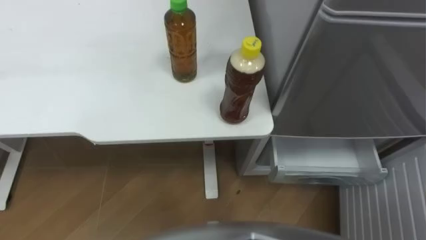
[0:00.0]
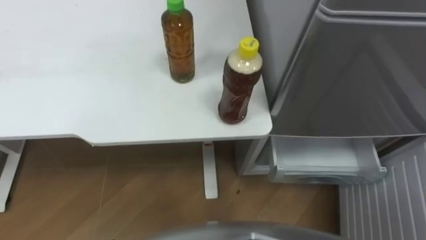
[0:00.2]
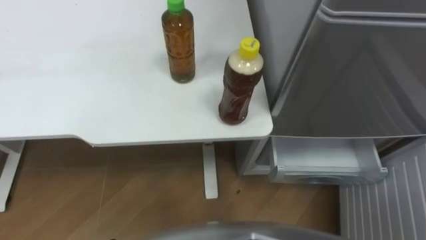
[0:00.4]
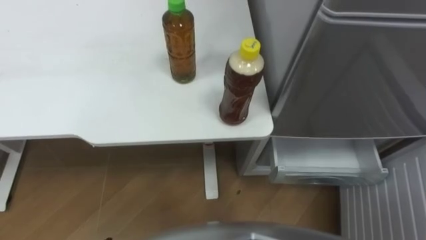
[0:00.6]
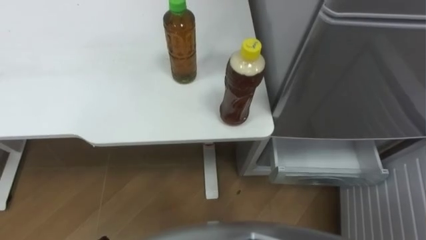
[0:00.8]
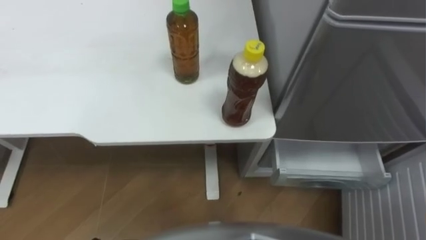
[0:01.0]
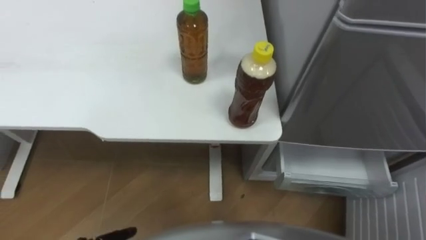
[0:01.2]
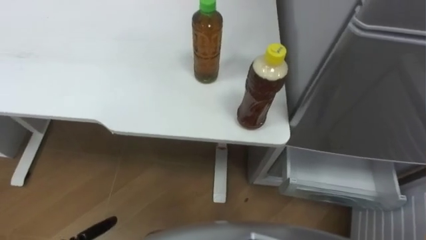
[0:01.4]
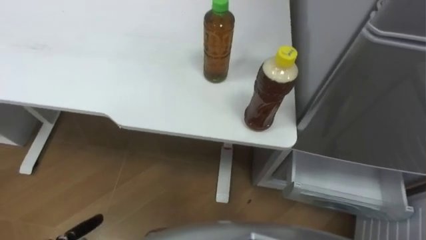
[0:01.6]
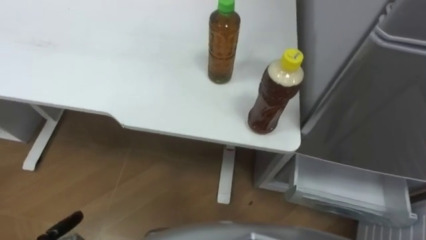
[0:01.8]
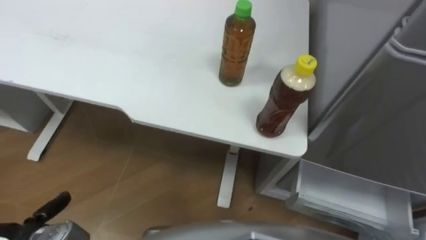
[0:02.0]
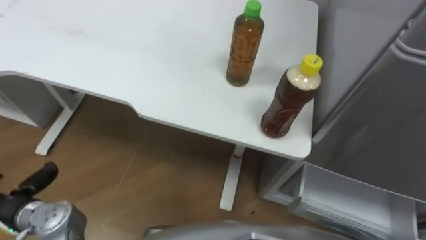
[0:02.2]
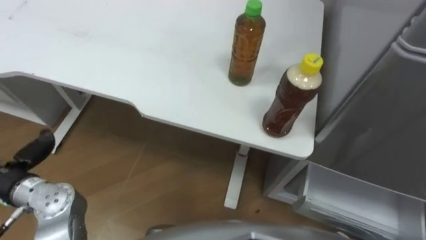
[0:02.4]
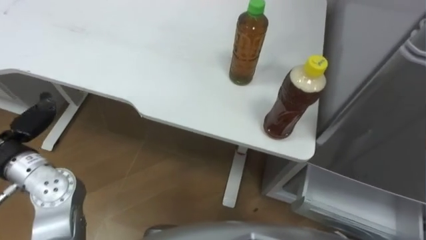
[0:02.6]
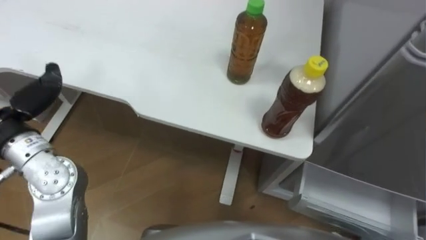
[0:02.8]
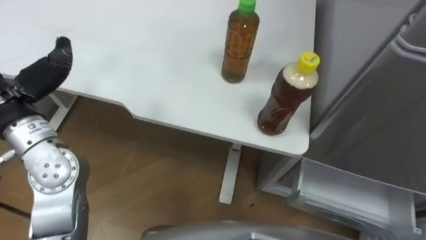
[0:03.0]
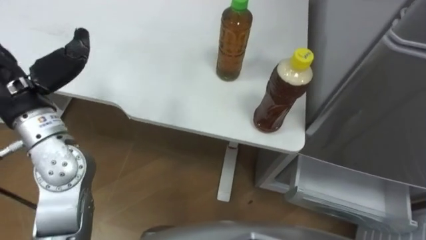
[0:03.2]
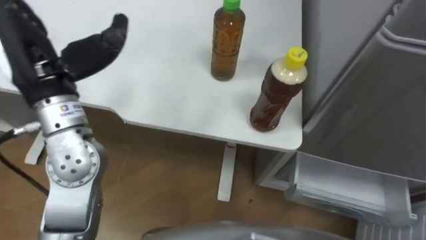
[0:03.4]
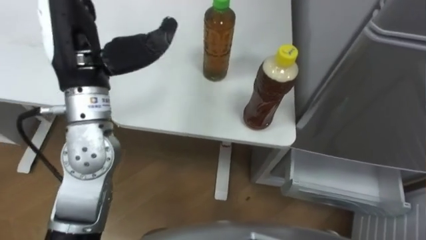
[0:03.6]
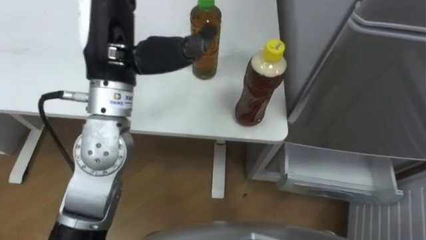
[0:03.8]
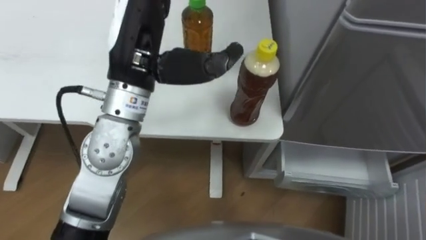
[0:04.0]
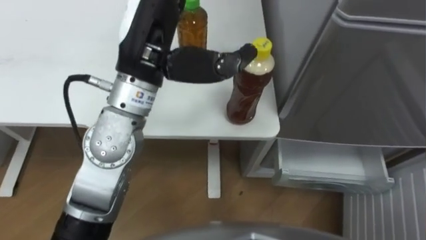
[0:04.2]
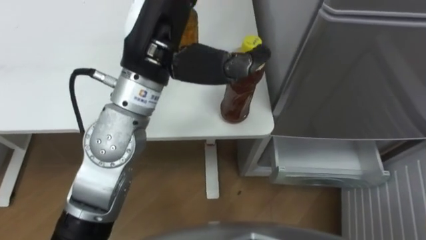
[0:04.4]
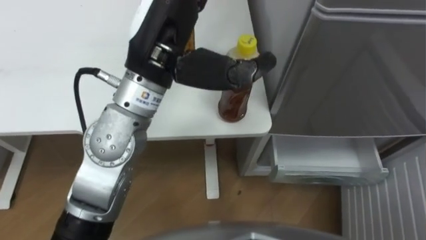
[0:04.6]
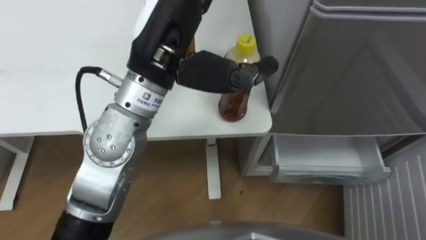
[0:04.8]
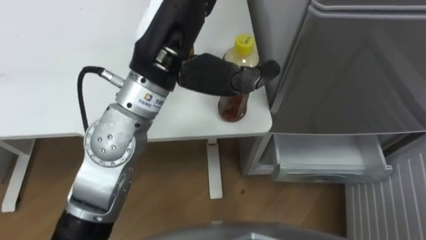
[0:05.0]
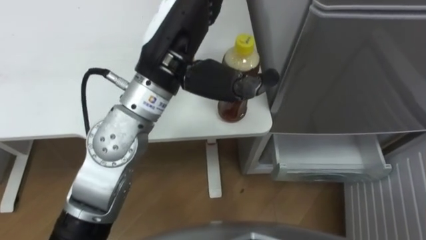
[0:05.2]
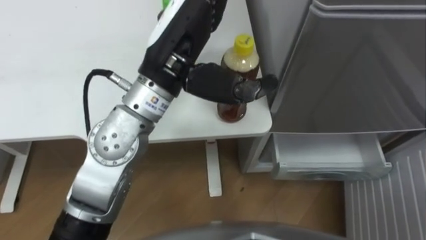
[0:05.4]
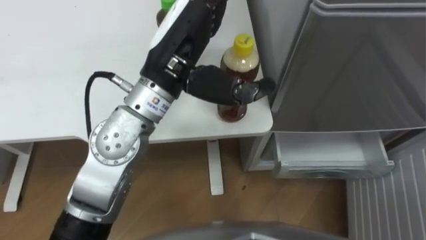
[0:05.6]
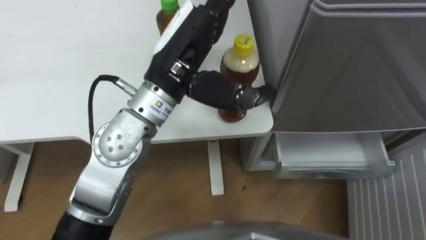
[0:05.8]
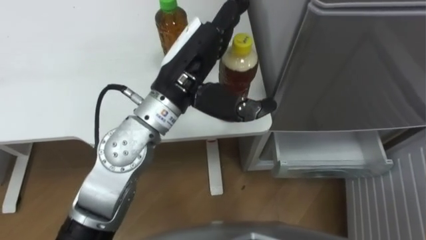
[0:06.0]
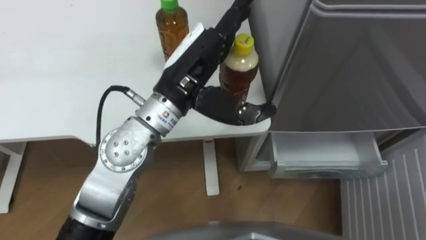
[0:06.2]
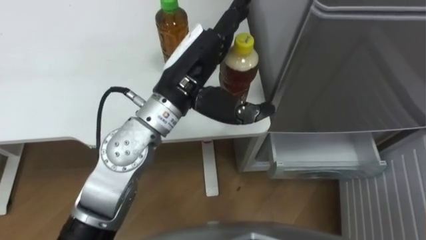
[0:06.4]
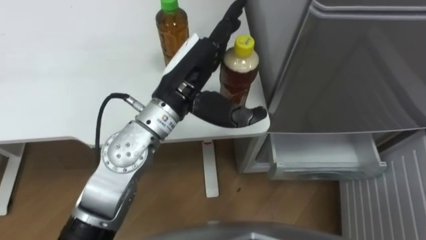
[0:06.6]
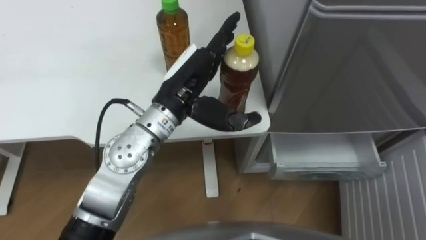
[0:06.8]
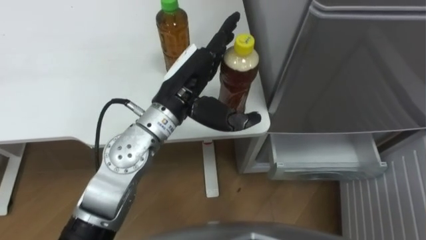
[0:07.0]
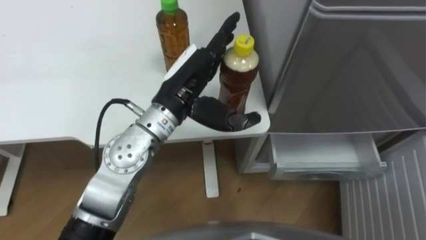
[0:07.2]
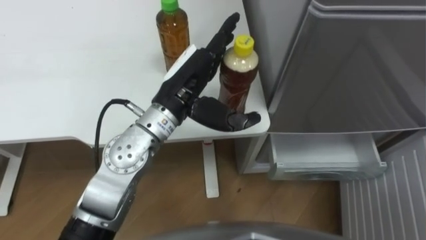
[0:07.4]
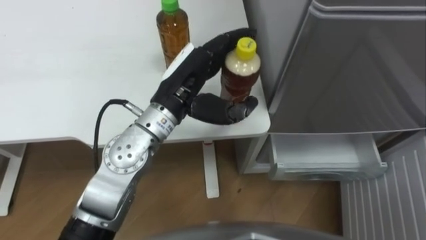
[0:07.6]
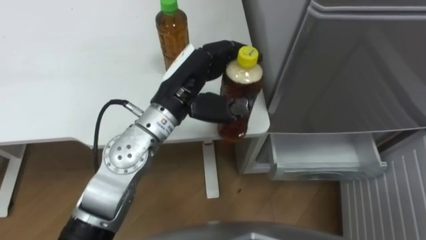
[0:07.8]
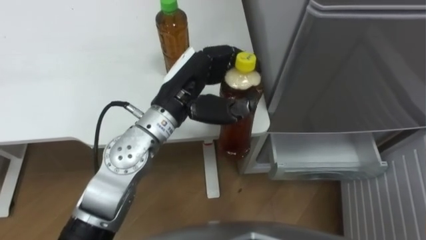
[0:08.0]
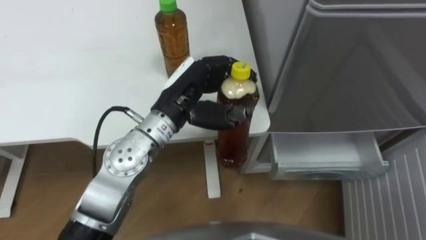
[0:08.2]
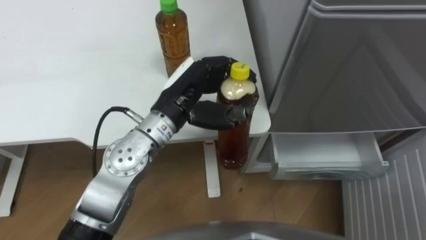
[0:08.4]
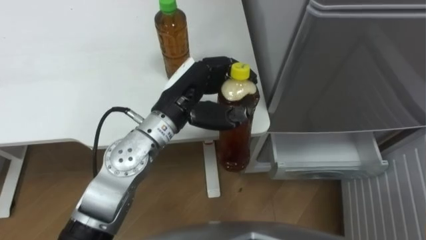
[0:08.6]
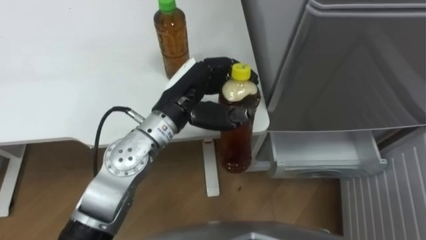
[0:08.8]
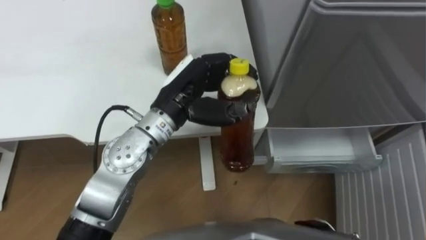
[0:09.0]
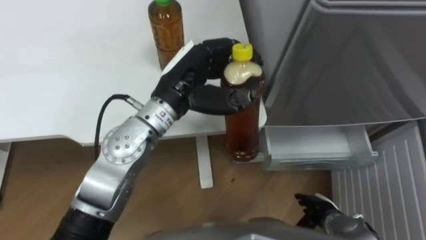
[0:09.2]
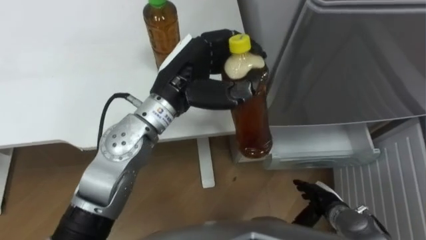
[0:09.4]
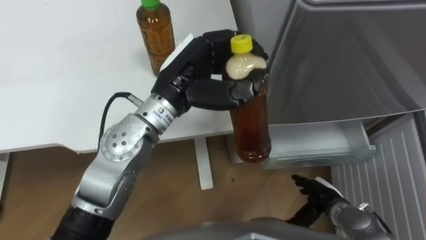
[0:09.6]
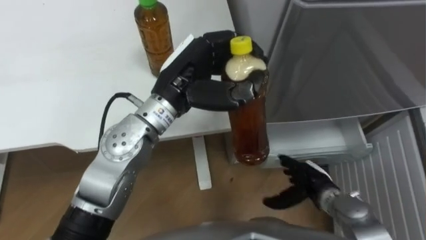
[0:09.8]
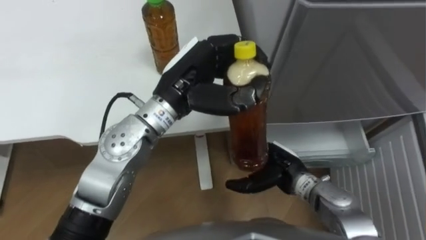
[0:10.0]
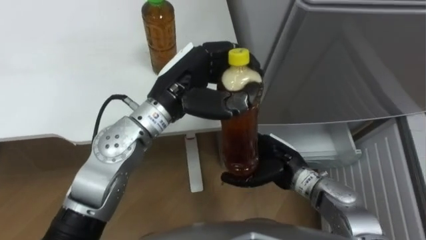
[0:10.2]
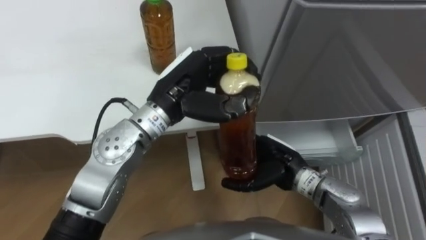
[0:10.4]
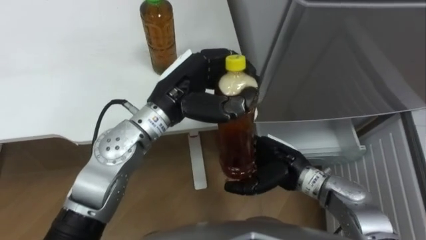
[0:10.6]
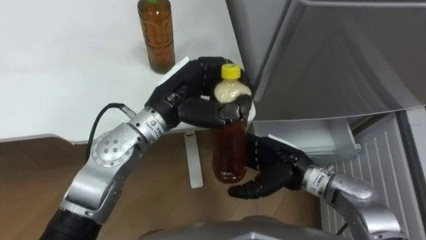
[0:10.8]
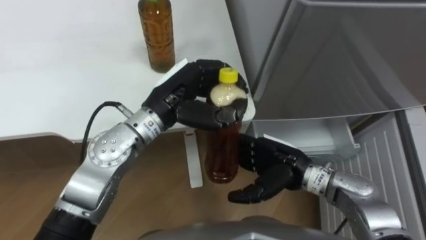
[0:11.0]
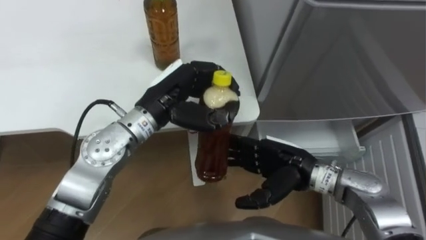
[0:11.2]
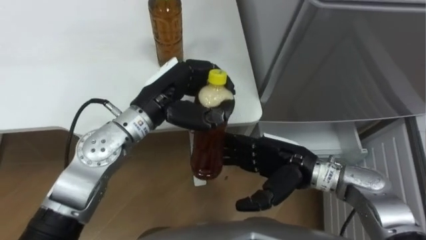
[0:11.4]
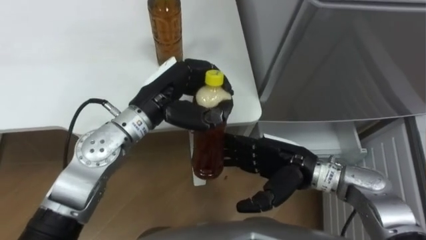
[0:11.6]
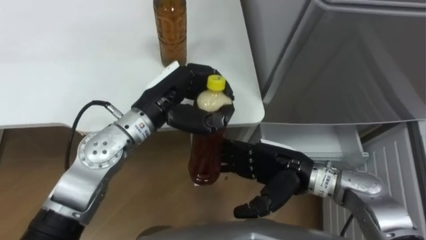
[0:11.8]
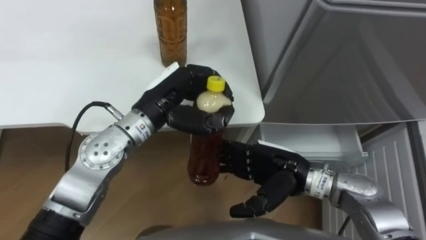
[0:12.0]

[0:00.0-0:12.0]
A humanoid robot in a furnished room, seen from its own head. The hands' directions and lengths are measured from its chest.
Task of the whole recording: Place the drink on the table on the bottom shelf of the refrigerator, then close the drawer and the refrigerator door.
0:04.4 to 0:06.0: The left hand goes some 5 cm downward.
0:06.0 to 0:07.6: The left hand moves downward, about 5 cm.
0:09.0 to 0:10.4: The right hand moves upward, forward and to the left, roughly 25 cm.

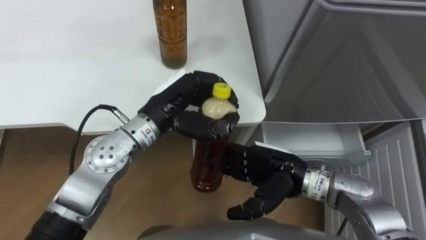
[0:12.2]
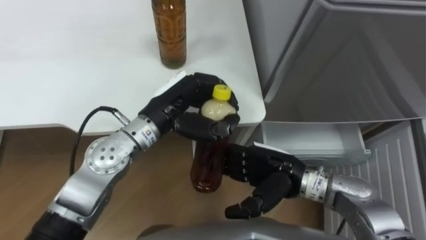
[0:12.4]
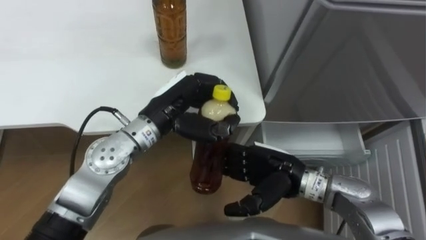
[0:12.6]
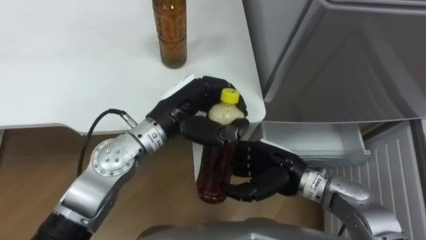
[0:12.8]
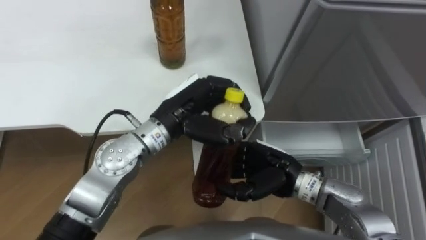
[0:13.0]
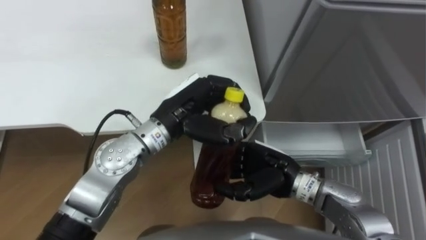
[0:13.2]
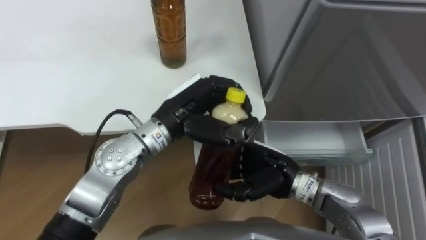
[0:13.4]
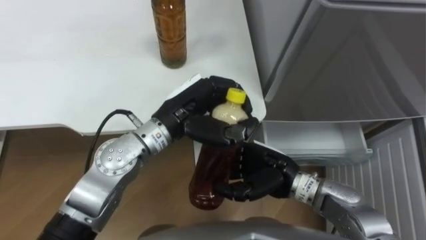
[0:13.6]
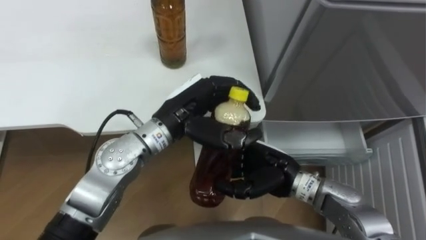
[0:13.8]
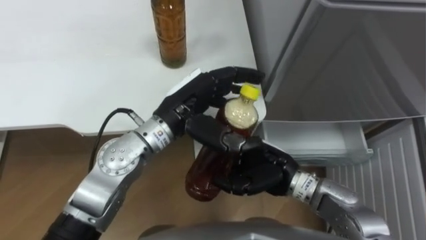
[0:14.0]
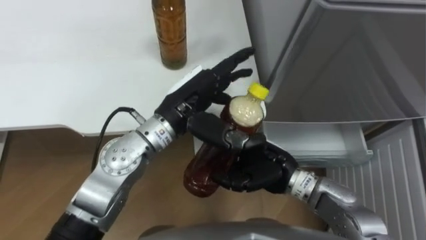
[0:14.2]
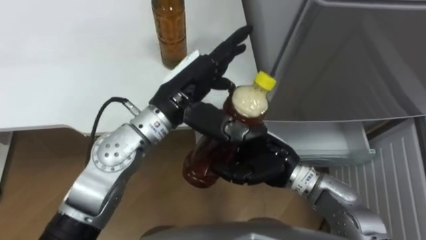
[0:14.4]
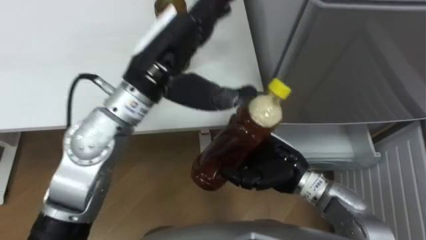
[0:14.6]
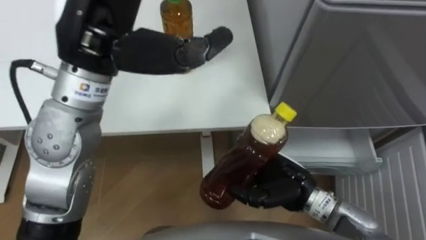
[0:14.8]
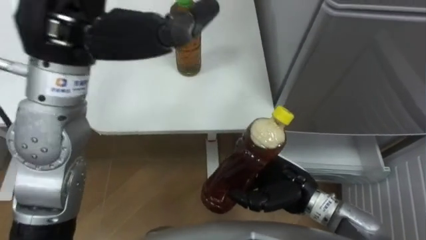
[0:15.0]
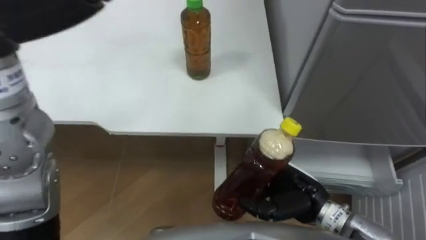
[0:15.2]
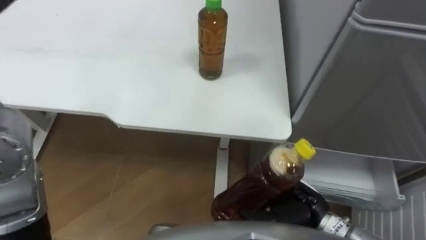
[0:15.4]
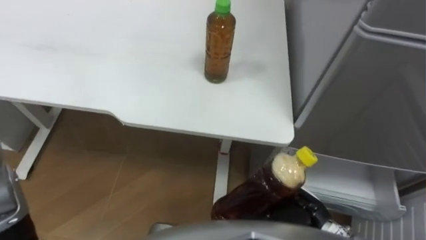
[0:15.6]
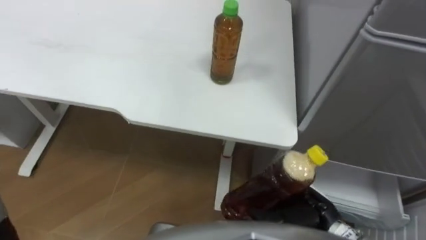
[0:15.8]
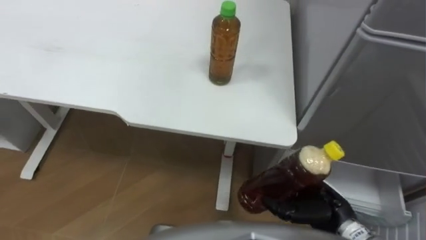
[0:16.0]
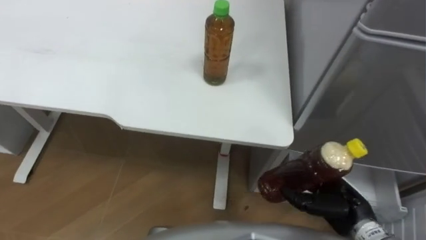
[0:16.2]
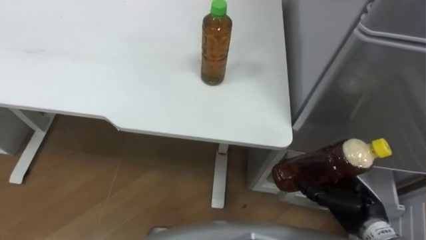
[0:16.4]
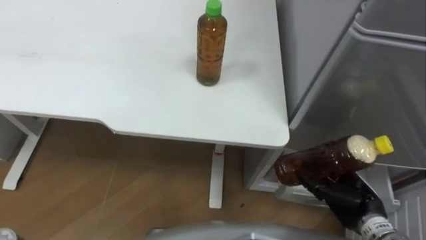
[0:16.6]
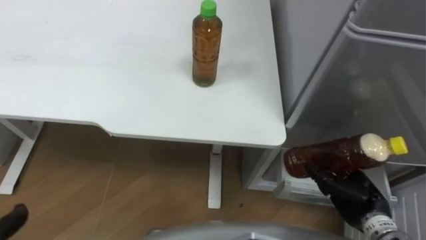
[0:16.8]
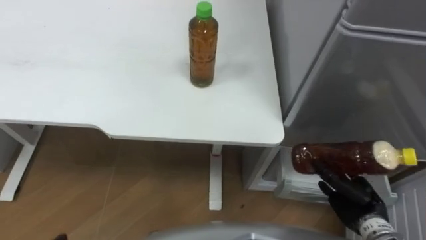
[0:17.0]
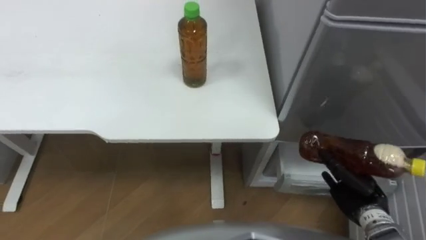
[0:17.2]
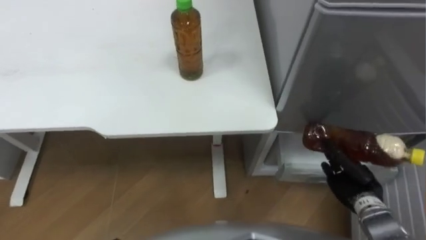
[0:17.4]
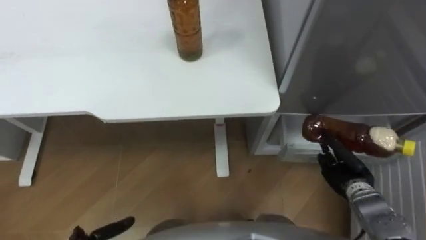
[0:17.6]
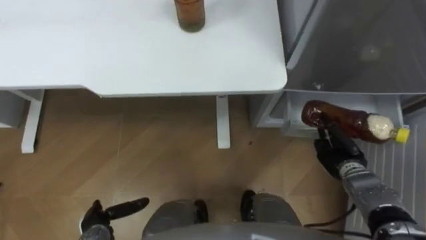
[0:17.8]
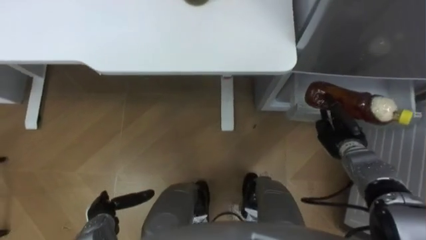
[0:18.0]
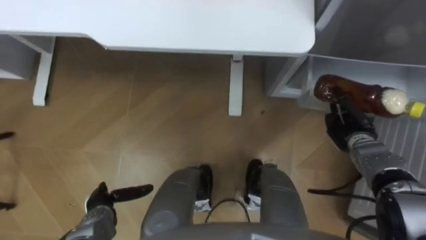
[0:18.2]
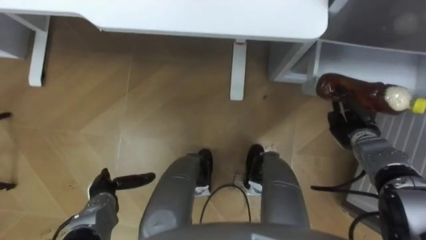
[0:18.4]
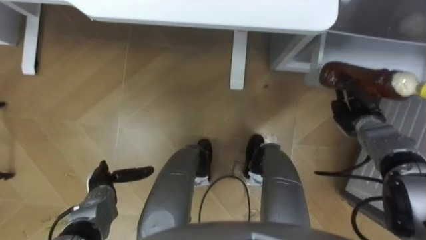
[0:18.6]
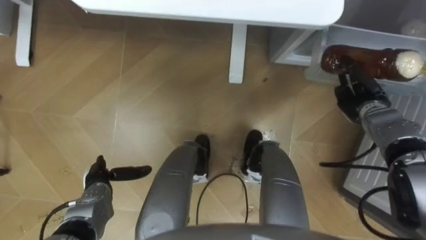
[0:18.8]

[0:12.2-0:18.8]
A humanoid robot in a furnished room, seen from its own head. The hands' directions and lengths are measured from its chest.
Task of the whole recording: Place the drink on the table on the bottom shelf of the refrigerator, then close the drawer and the refrigerator door.
0:12.2 to 0:13.8: The right hand closes up.
0:13.8 to 0:15.4: The right hand moves backward and to the right, some 10 cm.
0:15.4 to 0:17.2: The right hand goes approximately 15 cm to the right.
0:17.2 to 0:18.8: The right hand moves forward, about 20 cm.
